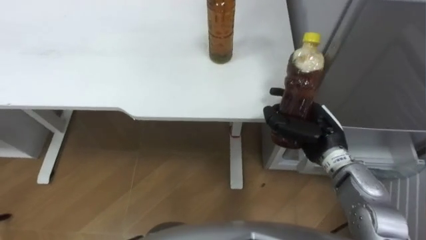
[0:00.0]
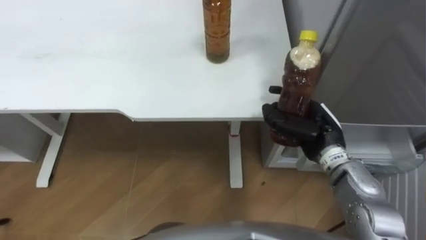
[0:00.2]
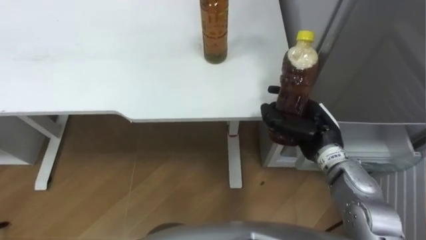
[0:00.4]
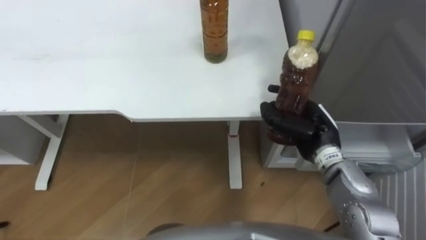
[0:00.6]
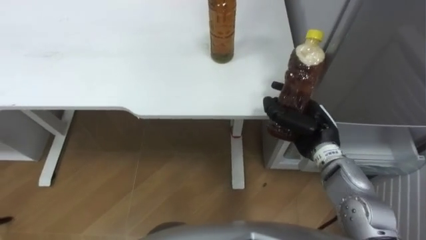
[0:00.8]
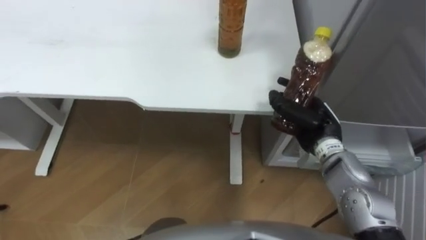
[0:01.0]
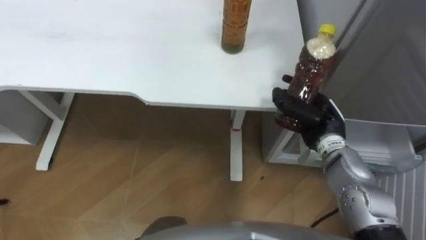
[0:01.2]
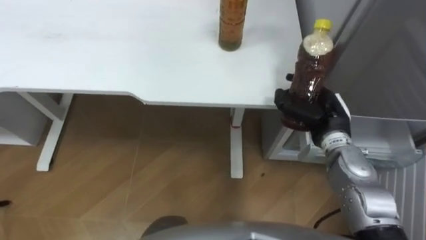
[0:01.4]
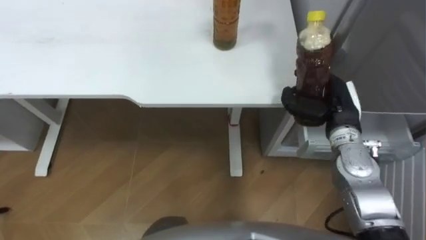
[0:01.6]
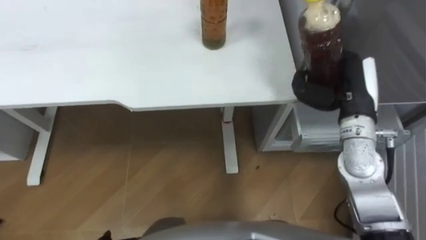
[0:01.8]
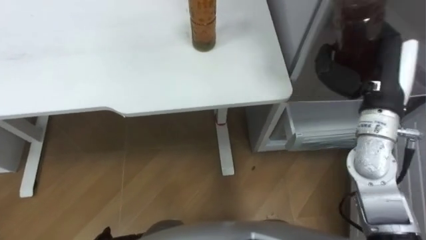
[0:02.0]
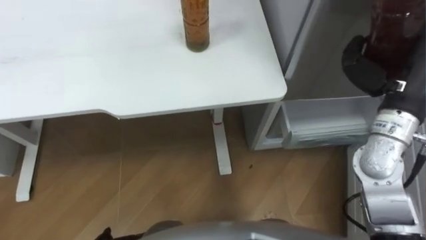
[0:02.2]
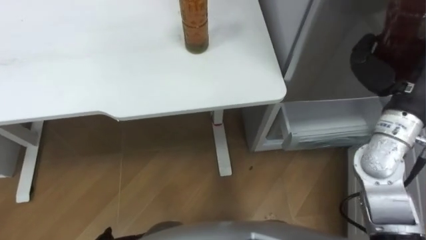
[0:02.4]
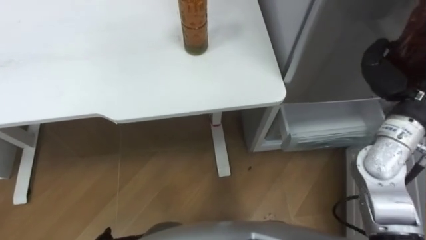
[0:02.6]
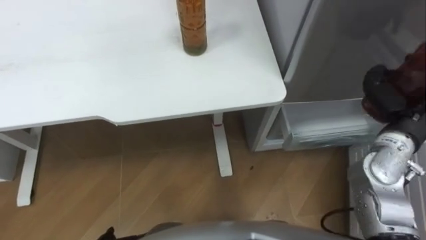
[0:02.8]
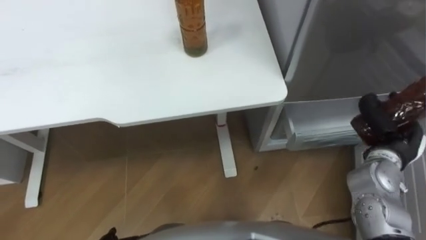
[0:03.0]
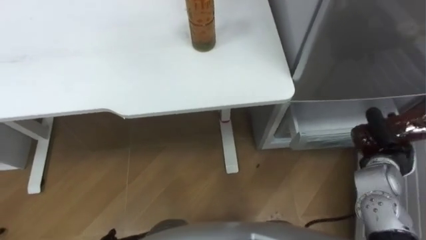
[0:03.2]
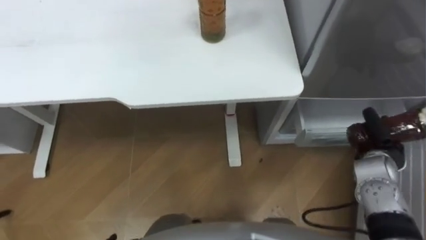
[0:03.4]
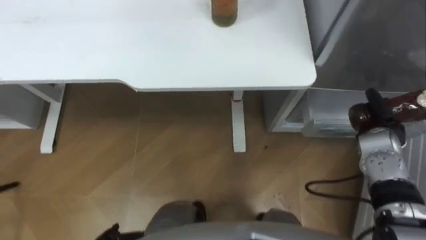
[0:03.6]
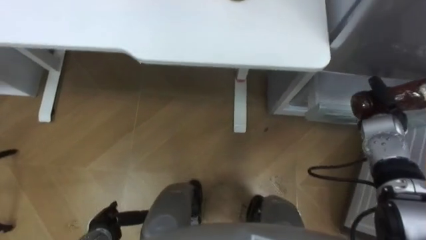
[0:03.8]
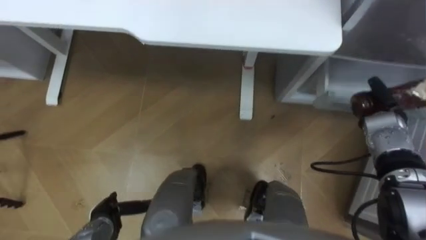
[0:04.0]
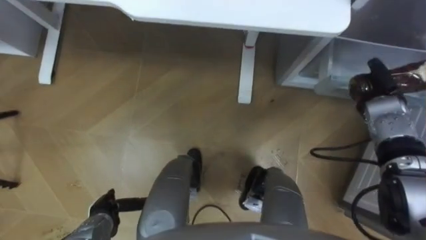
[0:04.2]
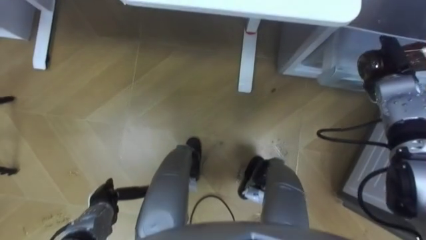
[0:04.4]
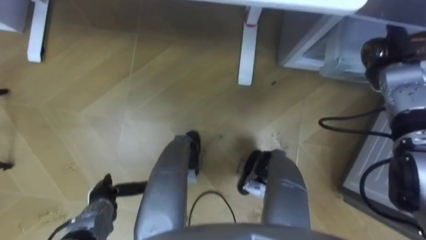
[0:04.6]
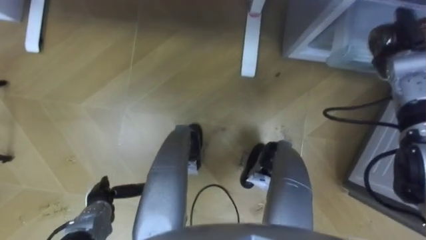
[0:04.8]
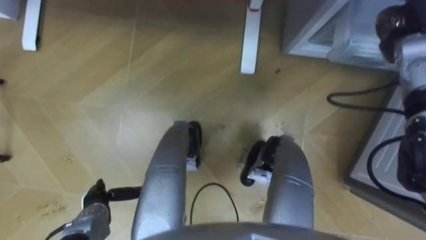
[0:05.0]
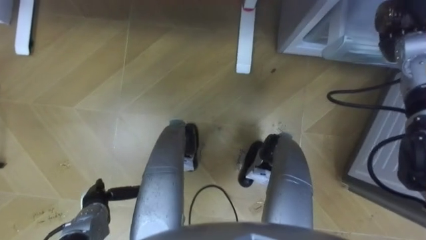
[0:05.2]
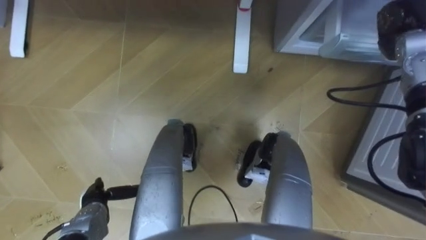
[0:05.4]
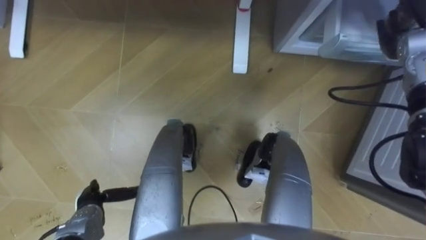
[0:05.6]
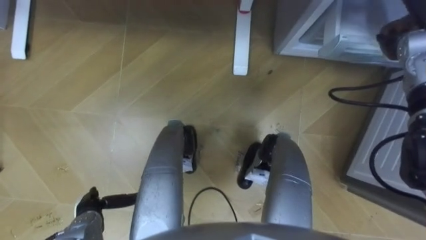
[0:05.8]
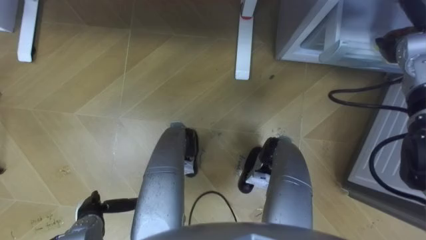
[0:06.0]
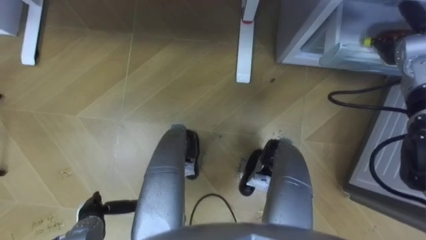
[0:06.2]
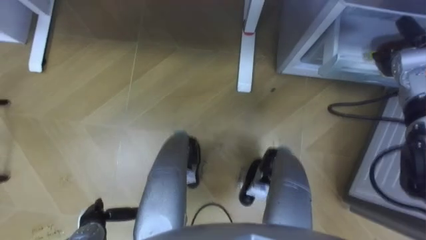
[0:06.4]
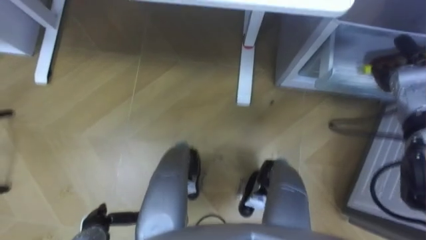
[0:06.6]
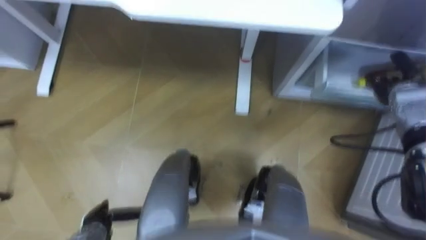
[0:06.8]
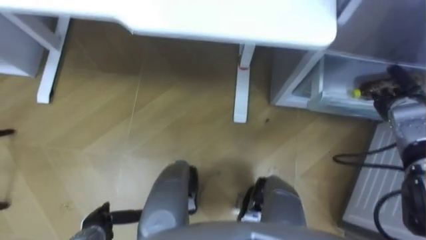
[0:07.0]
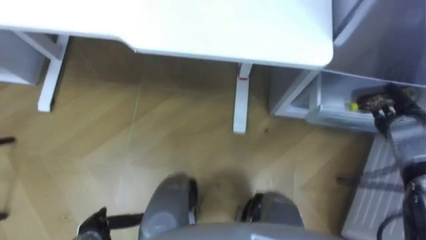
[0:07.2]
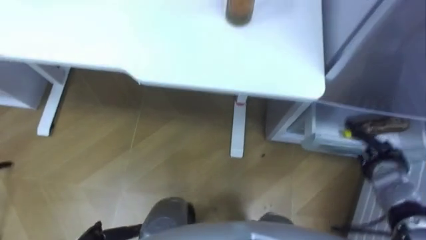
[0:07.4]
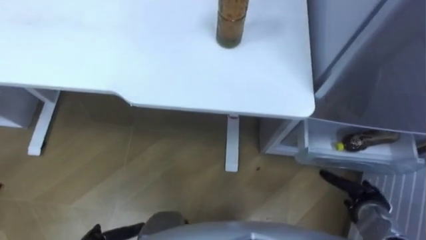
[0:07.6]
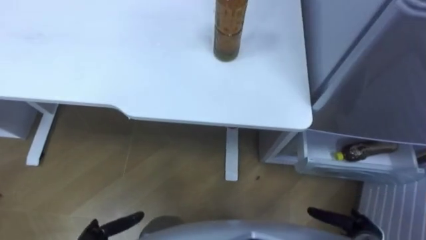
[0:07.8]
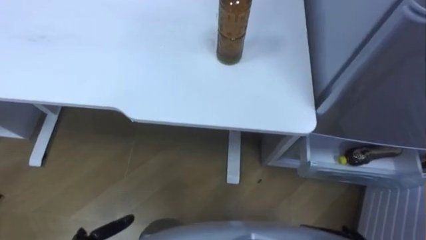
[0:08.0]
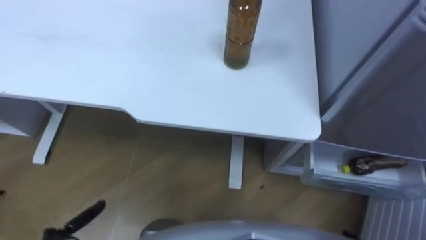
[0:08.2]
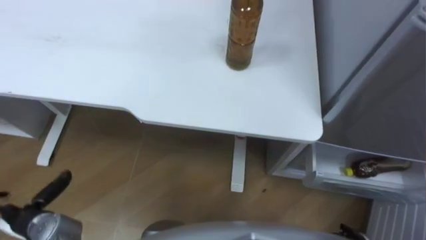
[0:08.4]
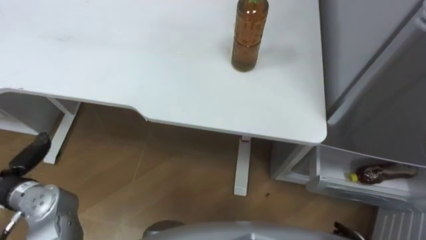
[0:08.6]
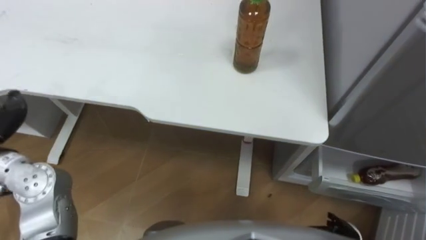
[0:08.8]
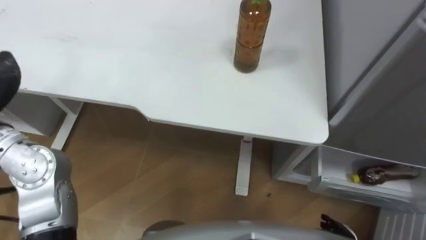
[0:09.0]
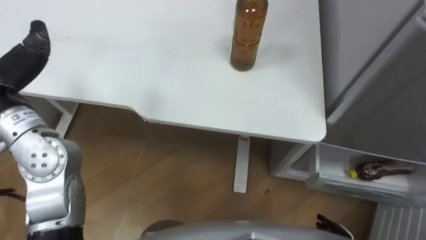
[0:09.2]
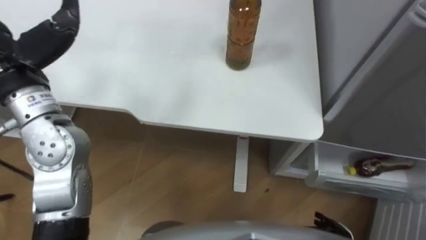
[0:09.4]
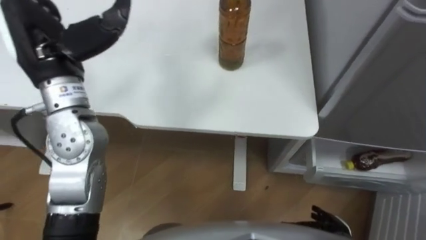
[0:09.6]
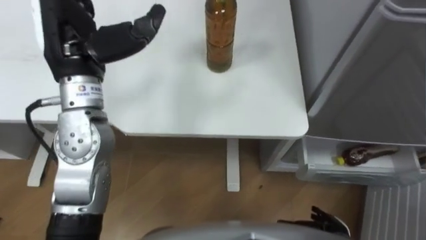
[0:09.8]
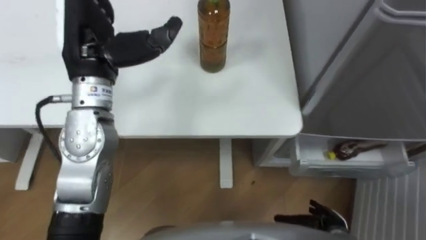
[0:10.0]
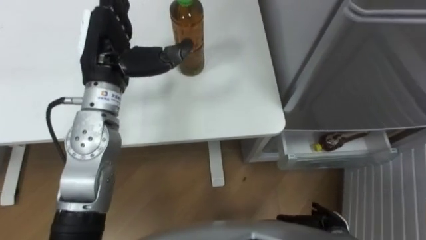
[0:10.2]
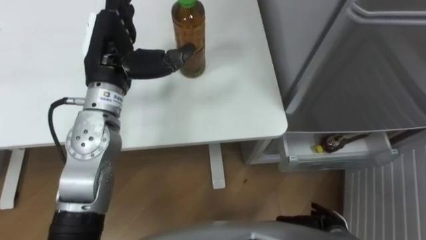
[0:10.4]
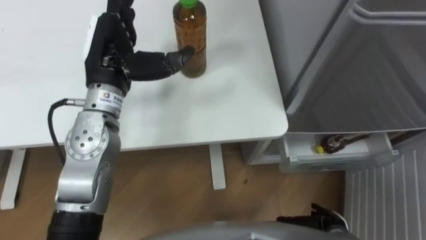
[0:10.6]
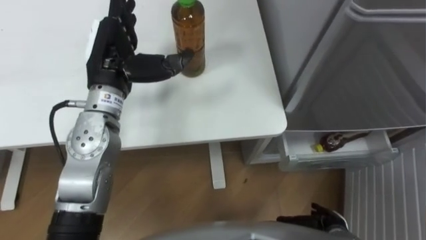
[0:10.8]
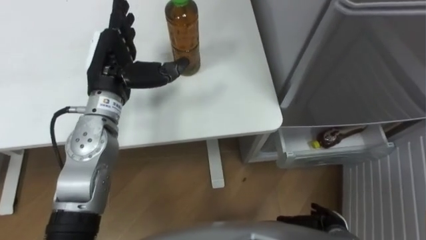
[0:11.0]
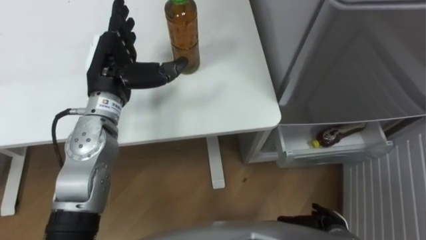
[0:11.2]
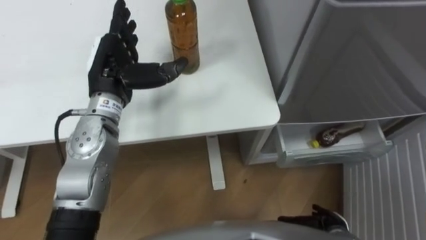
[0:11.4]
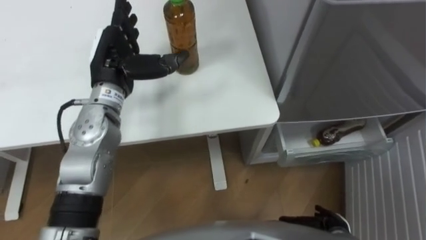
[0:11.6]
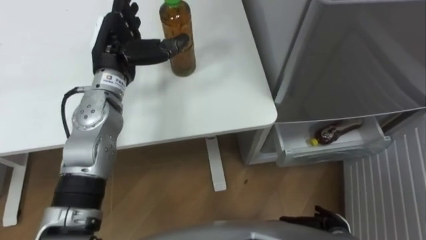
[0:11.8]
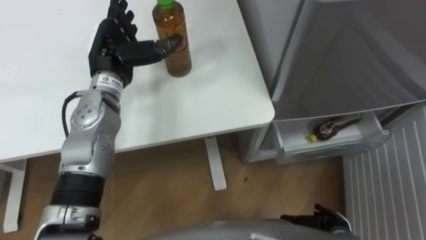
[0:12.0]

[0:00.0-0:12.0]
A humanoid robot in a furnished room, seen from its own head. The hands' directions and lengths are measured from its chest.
Task of the whole recording: Place the drink on the table on the bottom shelf of the refrigerator, then close the drawer and the refrigerator door.
0:00.0 to 0:01.6: The right hand shifts by about 5 cm.
0:01.6 to 0:03.0: The right hand is displaced to the right and backward by some 10 cm, and goes upward and returns, roughly 10 cm each way.
0:03.0 to 0:04.4: The right hand is displaced forward by roughly 15 cm.
0:04.4 to 0:06.0: The right hand heads upward, covering roughly 5 cm, and opens.
0:06.0 to 0:07.6: The right hand is displaced backward and downward by some 35 cm.
0:10.4 to 0:12.0: The left hand goes approximately 5 cm downward.

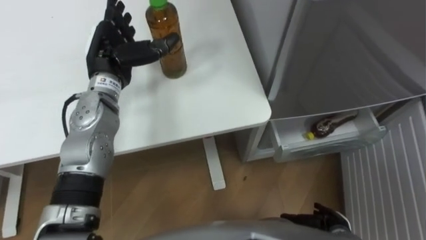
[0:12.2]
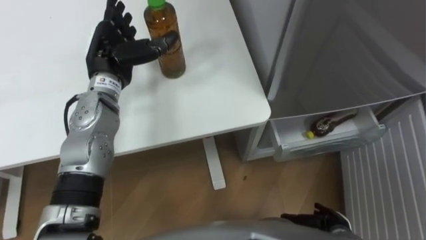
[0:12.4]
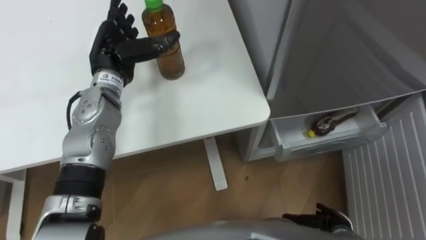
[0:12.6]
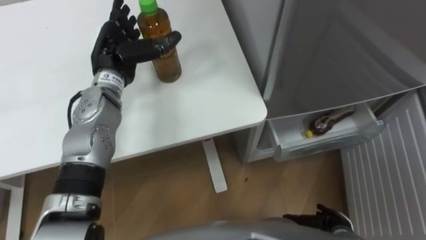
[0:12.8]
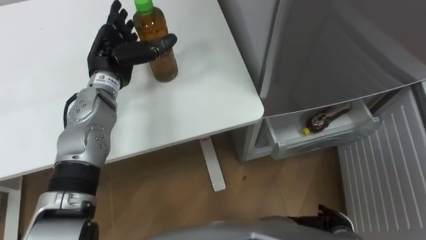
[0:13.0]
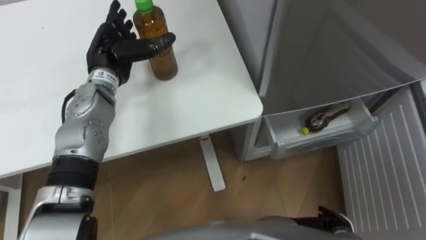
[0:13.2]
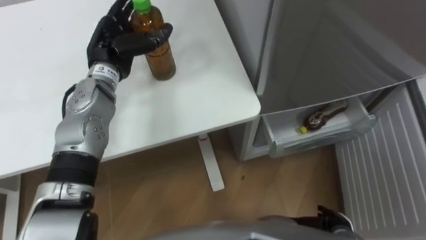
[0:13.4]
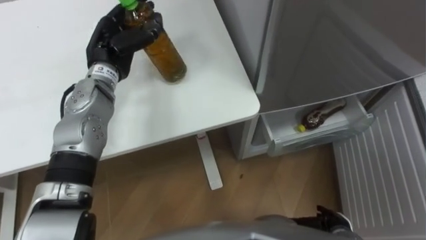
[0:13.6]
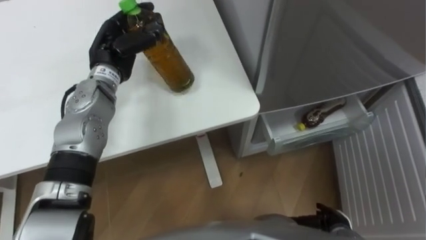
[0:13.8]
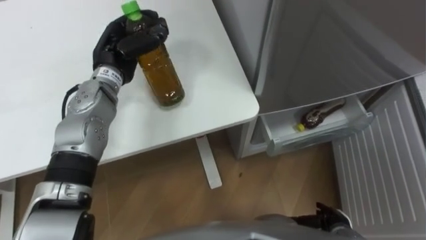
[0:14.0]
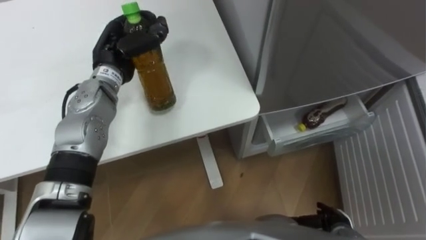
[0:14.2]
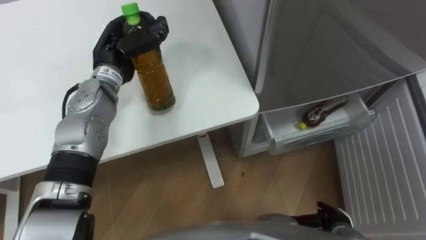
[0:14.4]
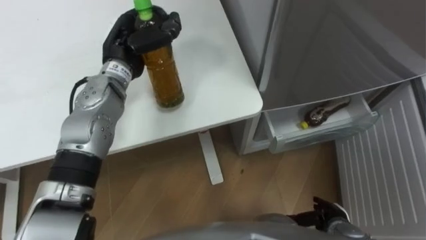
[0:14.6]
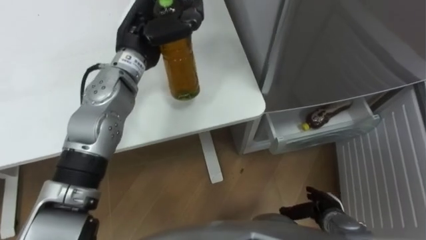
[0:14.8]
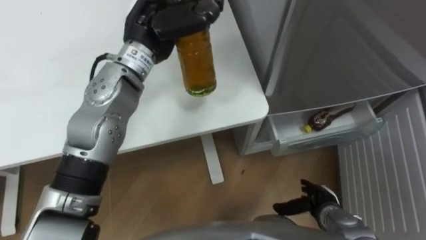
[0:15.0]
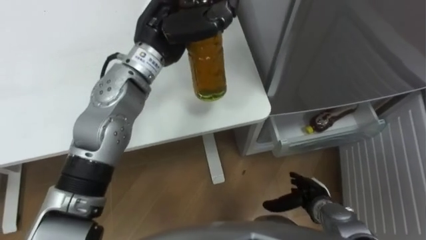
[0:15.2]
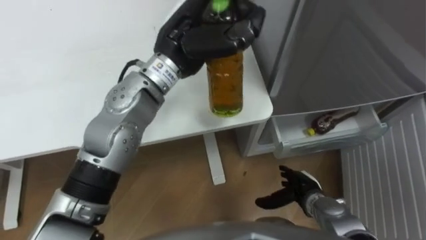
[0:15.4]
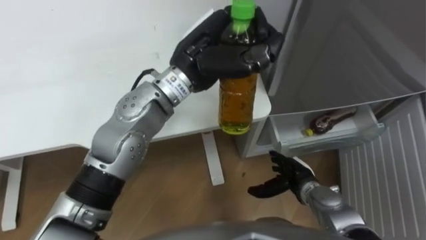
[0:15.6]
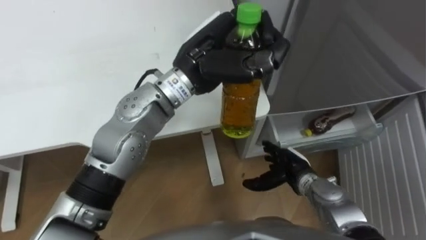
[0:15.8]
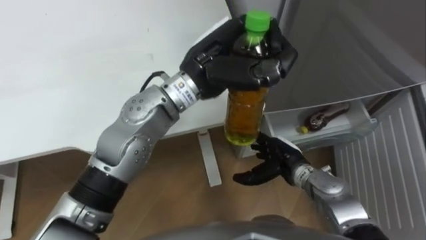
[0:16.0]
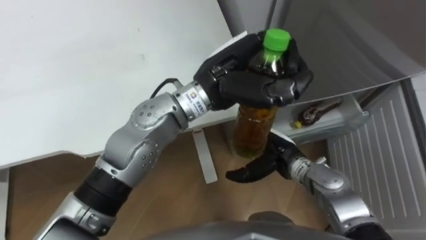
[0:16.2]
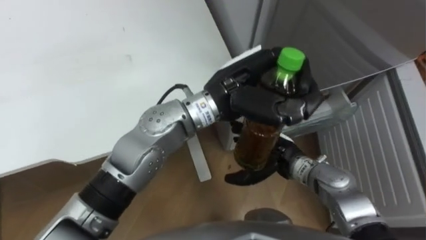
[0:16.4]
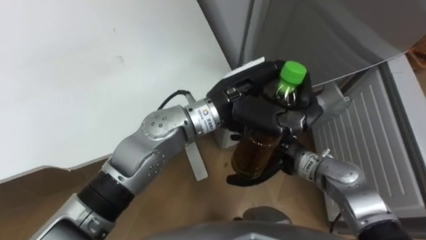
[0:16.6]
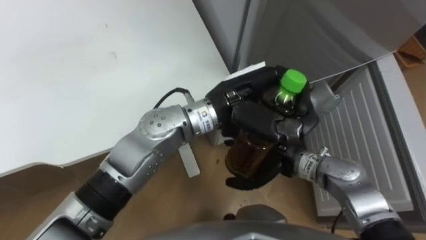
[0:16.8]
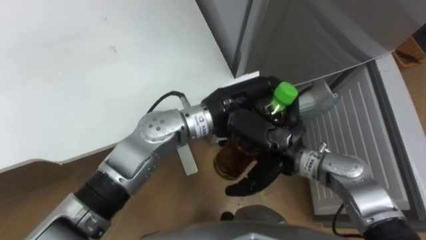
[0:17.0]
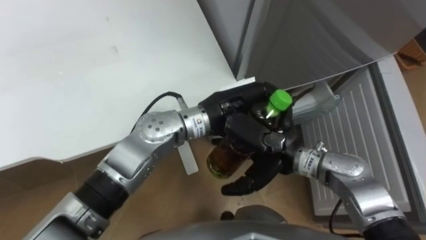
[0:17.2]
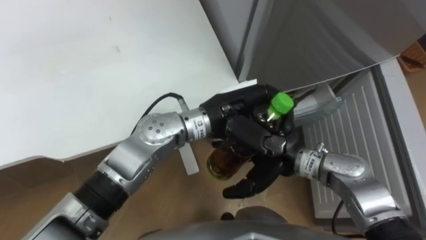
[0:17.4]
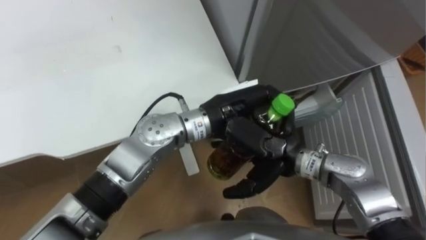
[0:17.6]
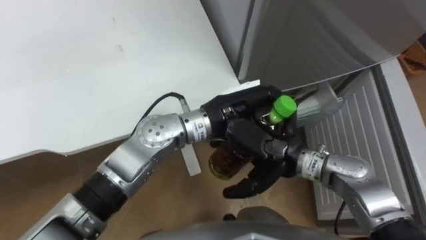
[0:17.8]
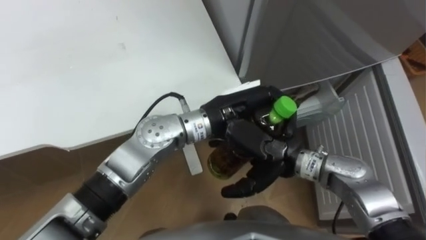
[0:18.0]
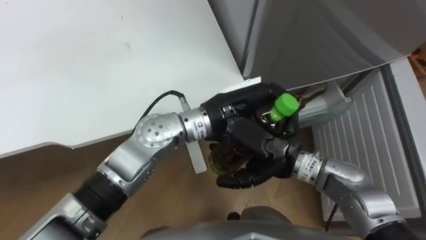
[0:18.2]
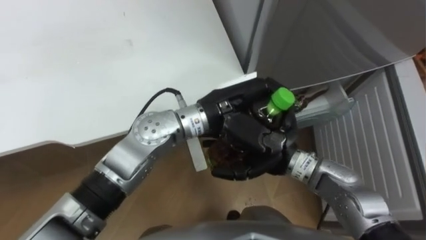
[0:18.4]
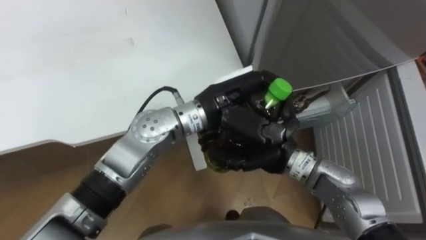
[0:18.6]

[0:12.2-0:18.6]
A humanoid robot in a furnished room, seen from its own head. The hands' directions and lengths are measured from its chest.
Task of the whole recording: Place the drink on the table on the bottom shelf of the refrigerator, then close the drawer and the refrigerator door.
0:12.2 to 0:13.8: The left hand closes up.
0:13.8 to 0:15.4: The right hand shifts roughly 10 cm forward and to the left. Meanwhile the left hand heads to the right and upward, covering approximately 15 cm.
0:15.4 to 0:17.0: The left hand is displaced to the right, backward and downward by about 15 cm, while the right hand heads upward, to the left and forward, covering approximately 20 cm.
0:17.0 to 0:18.6: The right hand closes.
